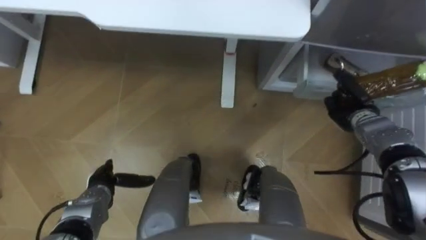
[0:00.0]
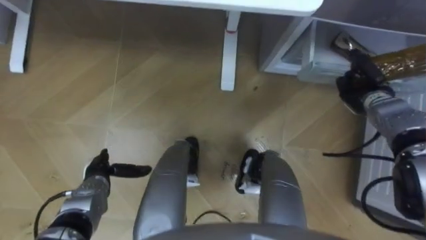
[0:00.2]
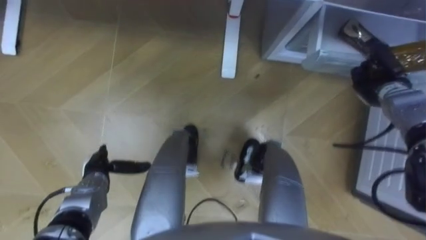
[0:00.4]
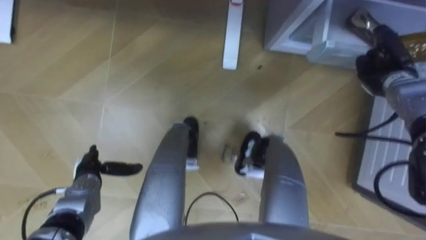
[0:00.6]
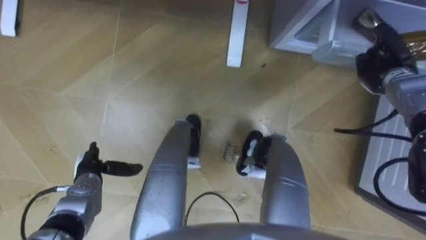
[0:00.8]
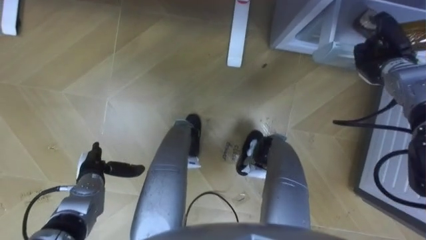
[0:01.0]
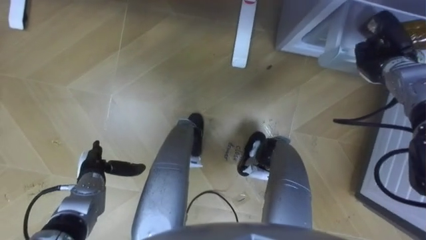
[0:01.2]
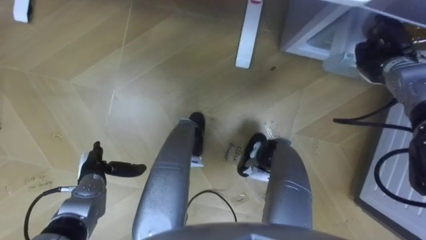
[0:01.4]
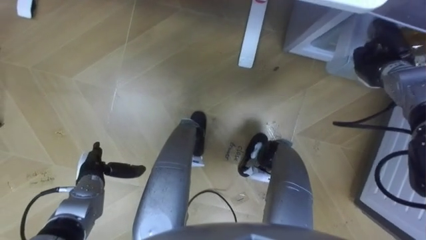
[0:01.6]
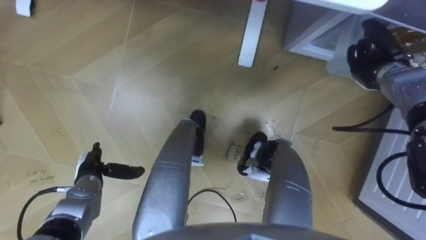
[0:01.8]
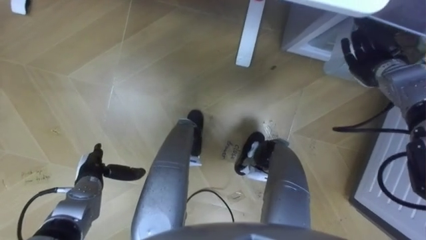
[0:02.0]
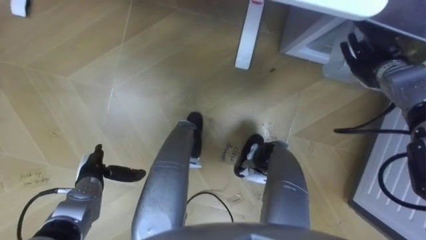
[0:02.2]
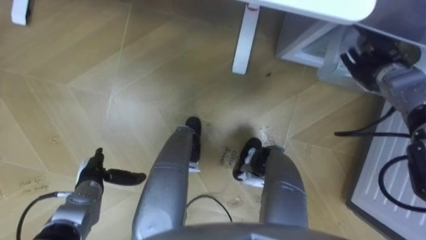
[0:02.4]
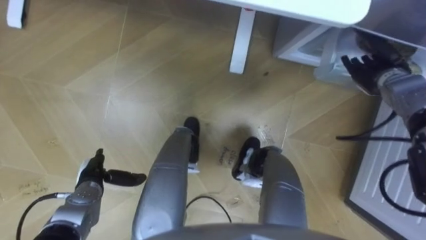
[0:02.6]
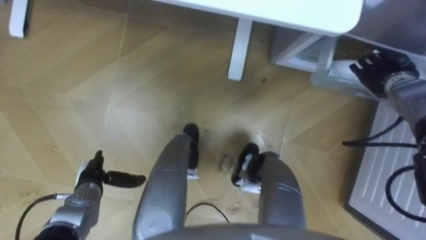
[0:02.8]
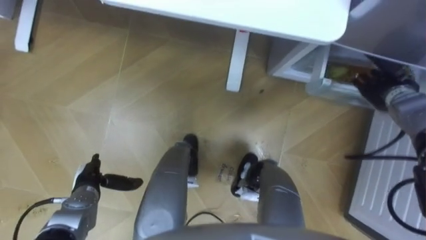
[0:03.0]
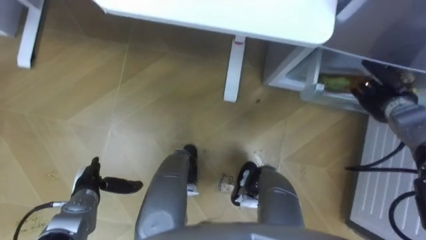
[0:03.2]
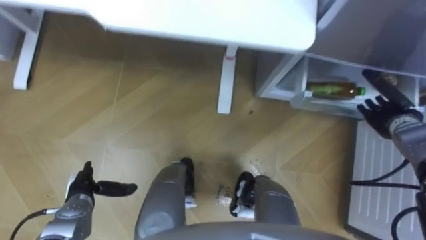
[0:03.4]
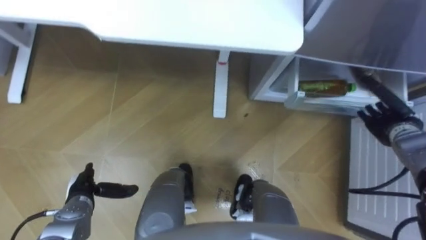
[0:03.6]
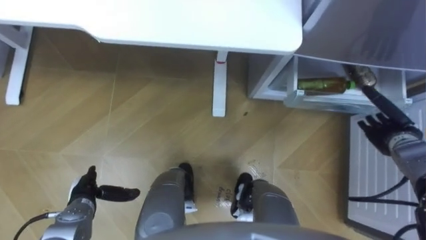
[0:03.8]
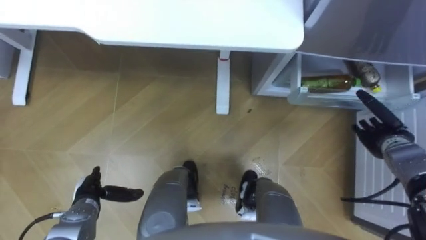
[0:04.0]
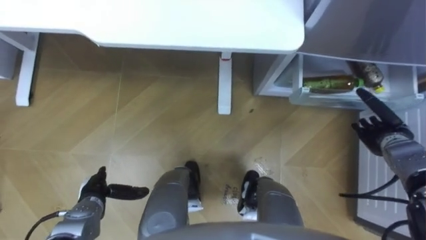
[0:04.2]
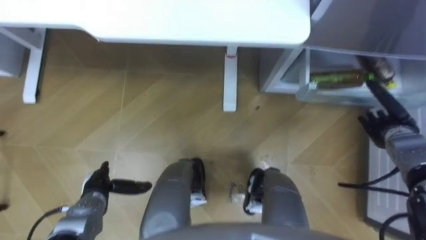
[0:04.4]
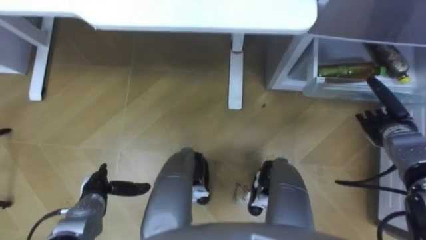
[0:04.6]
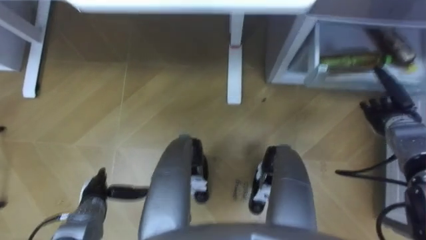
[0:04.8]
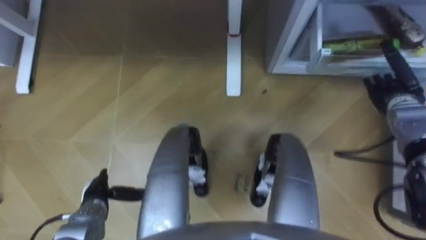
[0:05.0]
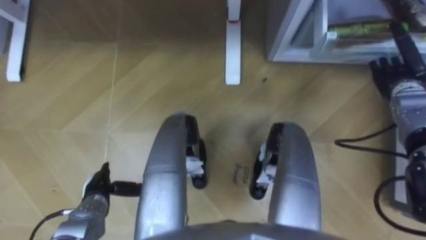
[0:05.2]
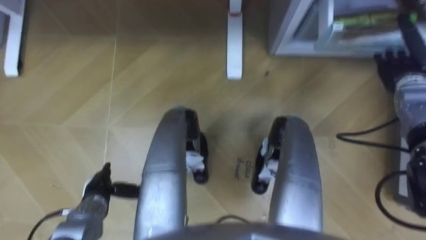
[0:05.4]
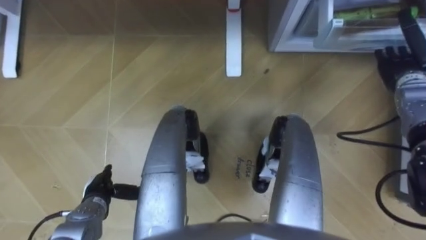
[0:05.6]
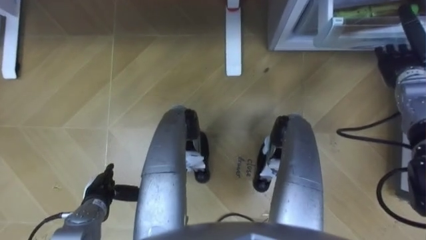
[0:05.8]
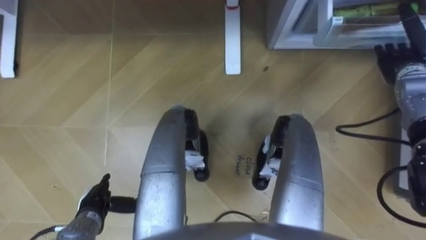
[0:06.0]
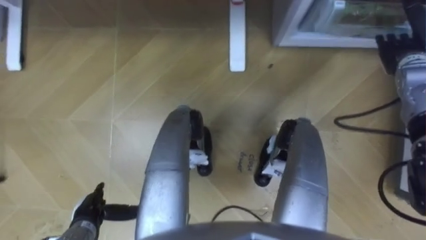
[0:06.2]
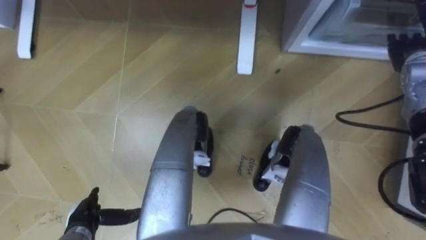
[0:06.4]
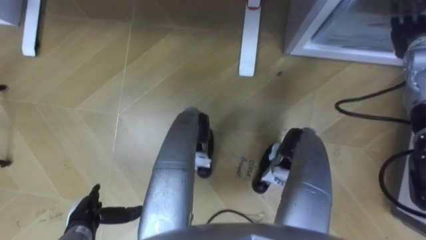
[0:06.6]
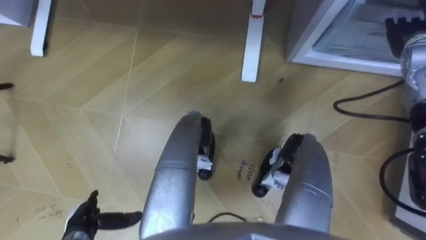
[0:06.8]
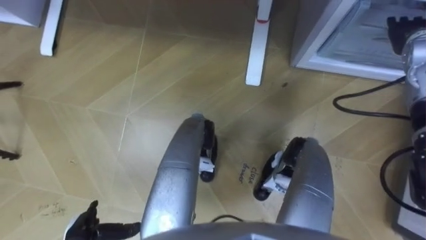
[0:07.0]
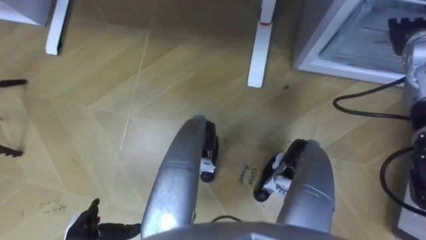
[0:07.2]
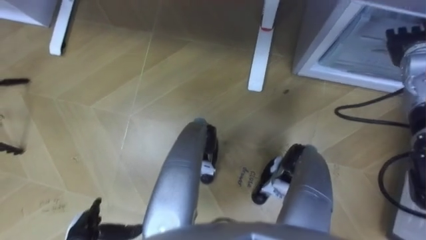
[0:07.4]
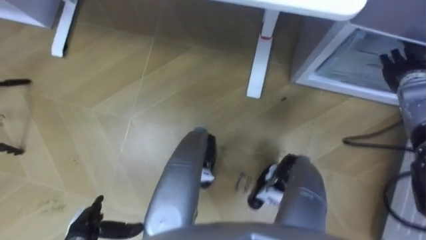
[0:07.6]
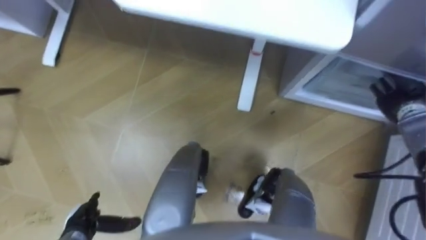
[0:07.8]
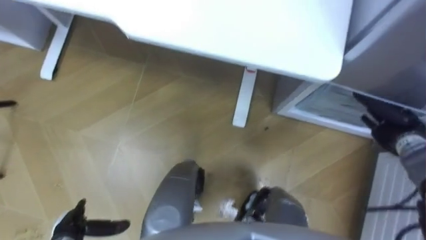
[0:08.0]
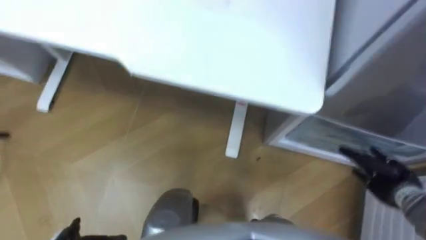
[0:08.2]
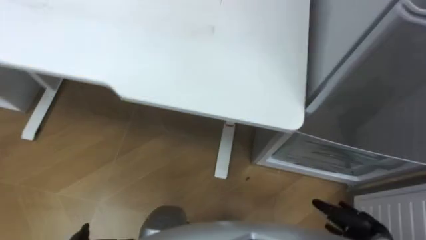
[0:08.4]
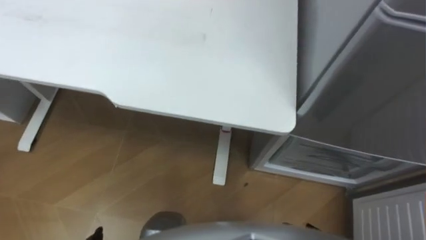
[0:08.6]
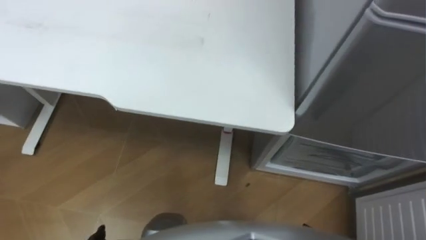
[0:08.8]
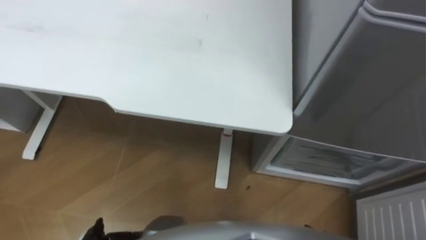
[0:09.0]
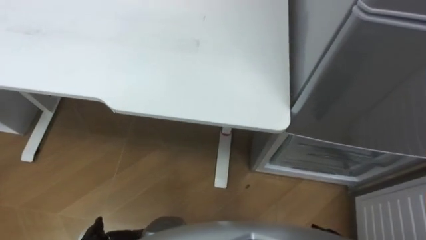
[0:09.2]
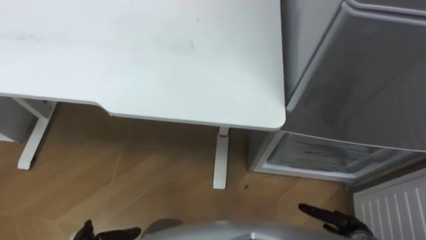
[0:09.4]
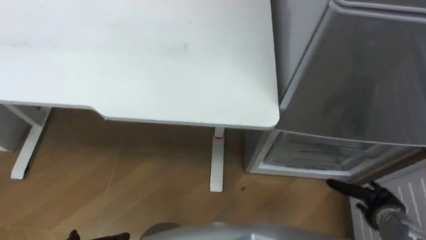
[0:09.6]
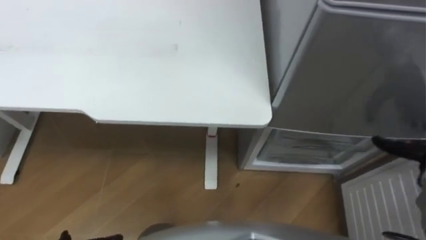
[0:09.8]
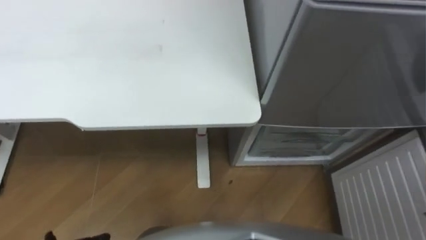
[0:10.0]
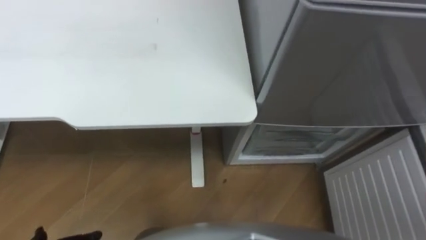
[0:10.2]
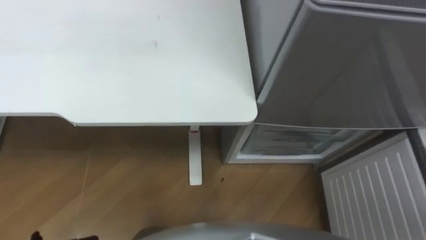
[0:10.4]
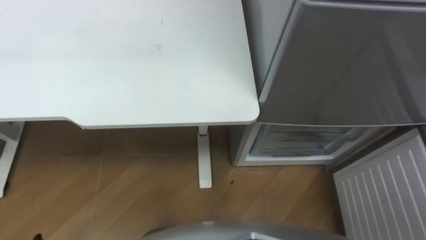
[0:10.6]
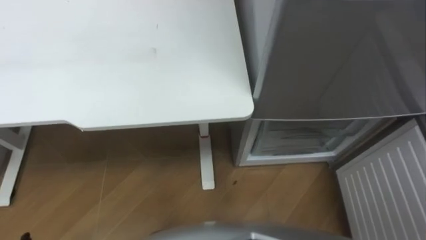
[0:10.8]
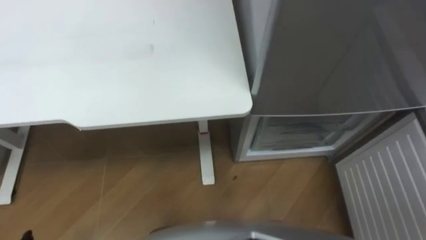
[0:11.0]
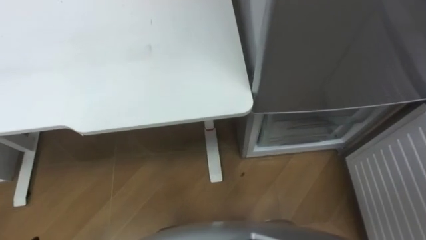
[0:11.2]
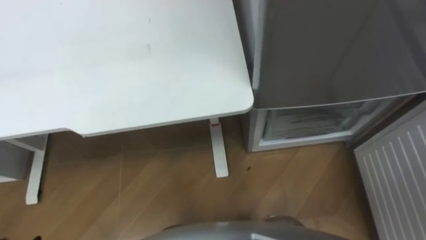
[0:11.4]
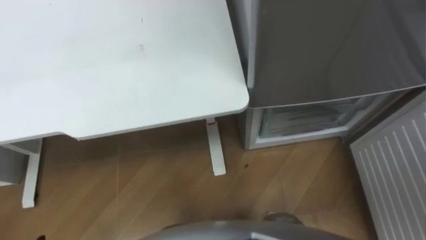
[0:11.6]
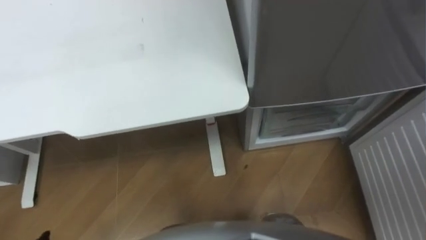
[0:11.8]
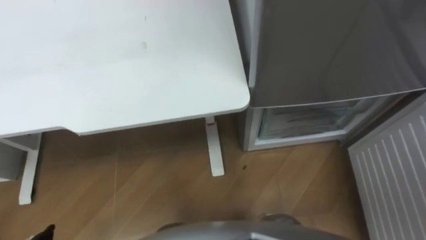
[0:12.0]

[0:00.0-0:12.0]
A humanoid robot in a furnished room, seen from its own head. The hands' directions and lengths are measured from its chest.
Task of the whole recording: Place the drink on the table on the bottom shelf of the refrigerator, then close the drawer and the refrigerator door.
0:00.0 to 0:01.6: The right hand moves upward and forward, roughly 10 cm.
0:01.6 to 0:03.0: The right hand opens its fingers.
0:03.0 to 0:04.4: The right hand shifts some 10 cm backward and downward.
0:04.4 to 0:06.0: The right hand shifts some 15 cm upward and forward.
0:06.0 to 0:07.6: The left hand goes some 5 cm backward.

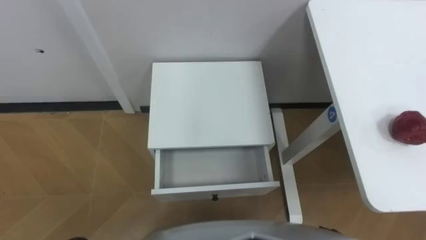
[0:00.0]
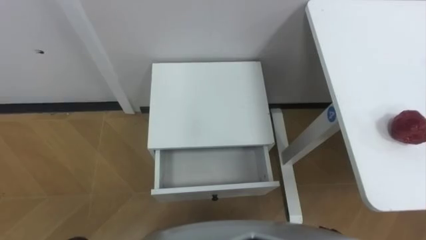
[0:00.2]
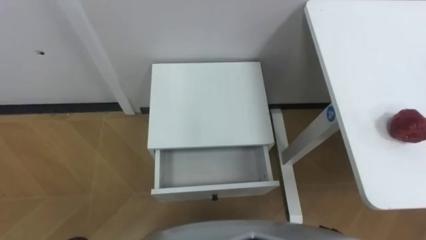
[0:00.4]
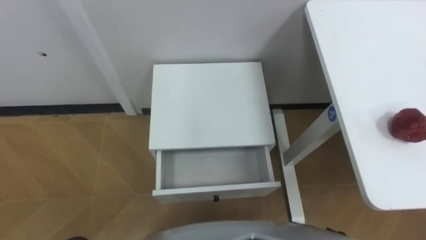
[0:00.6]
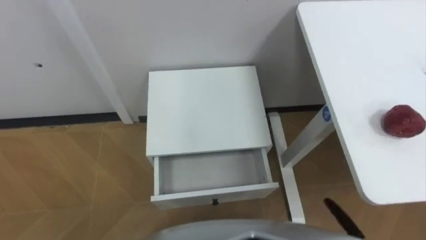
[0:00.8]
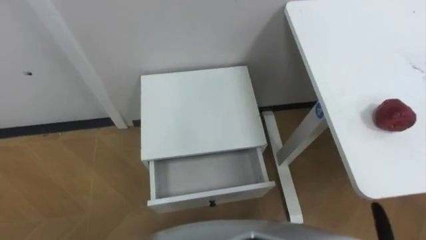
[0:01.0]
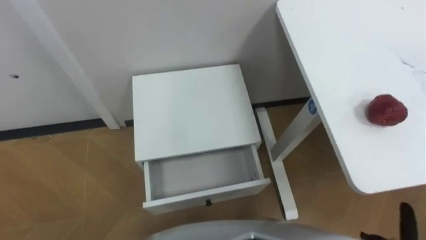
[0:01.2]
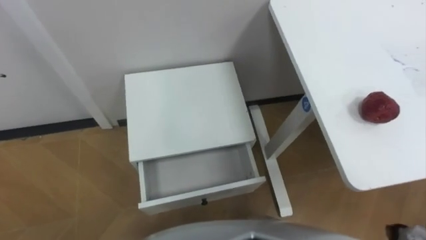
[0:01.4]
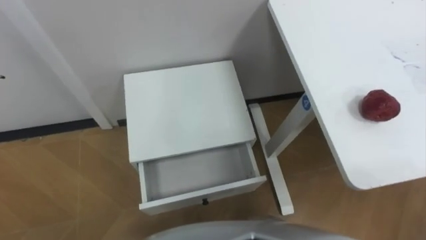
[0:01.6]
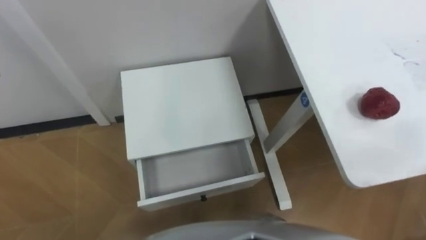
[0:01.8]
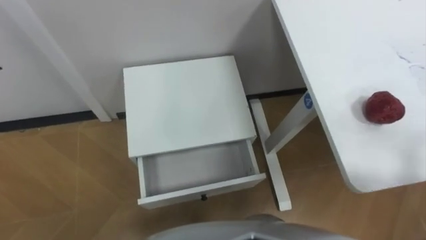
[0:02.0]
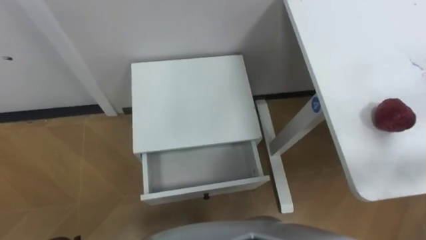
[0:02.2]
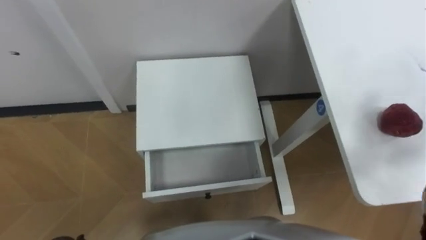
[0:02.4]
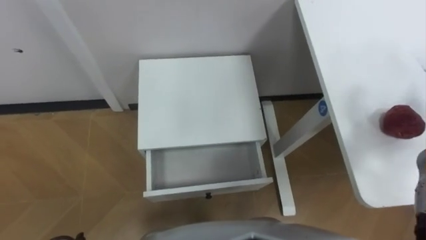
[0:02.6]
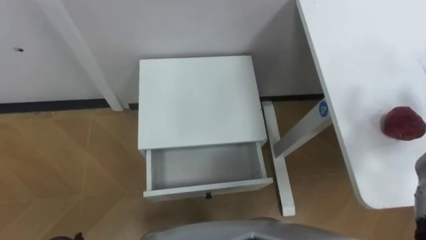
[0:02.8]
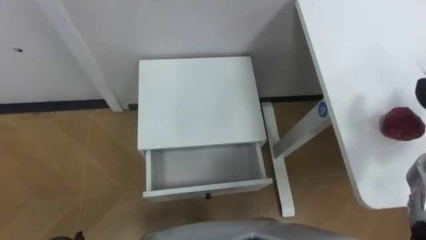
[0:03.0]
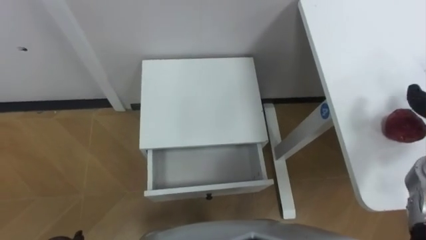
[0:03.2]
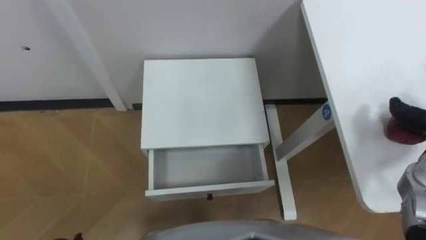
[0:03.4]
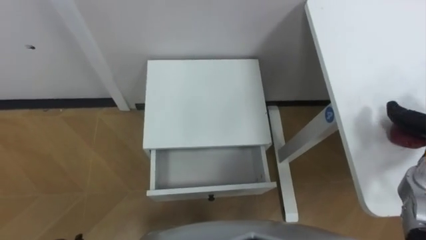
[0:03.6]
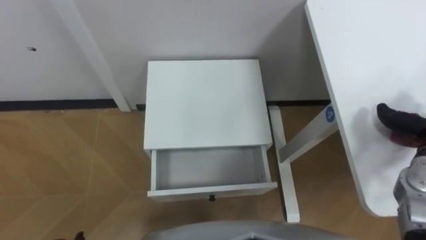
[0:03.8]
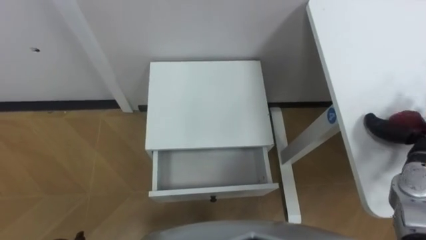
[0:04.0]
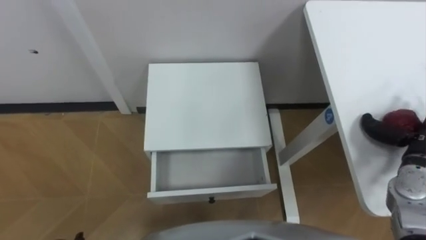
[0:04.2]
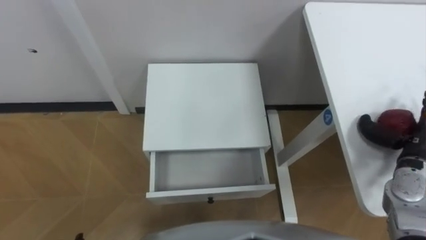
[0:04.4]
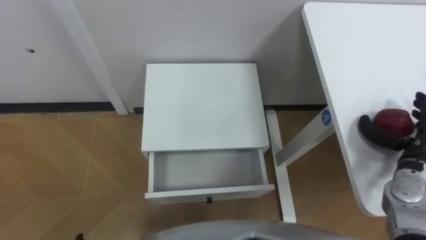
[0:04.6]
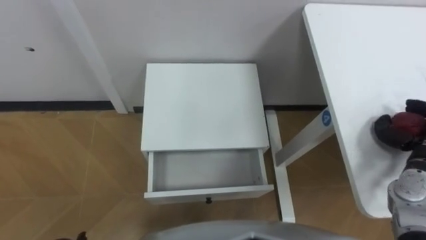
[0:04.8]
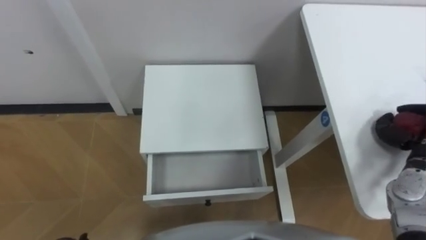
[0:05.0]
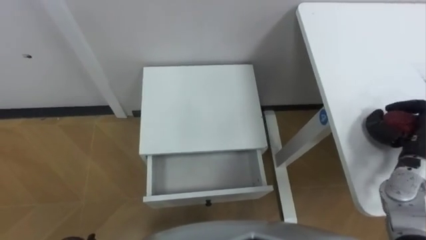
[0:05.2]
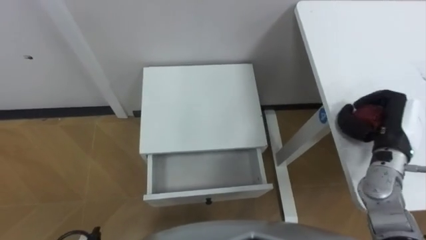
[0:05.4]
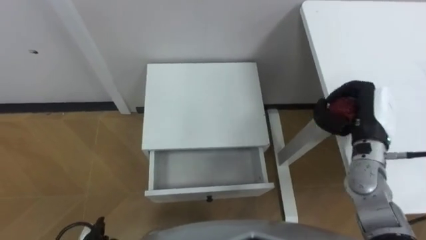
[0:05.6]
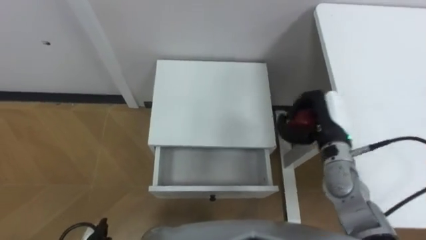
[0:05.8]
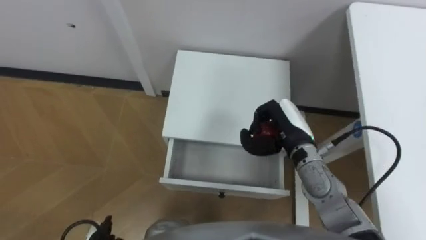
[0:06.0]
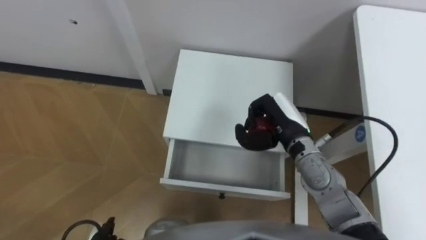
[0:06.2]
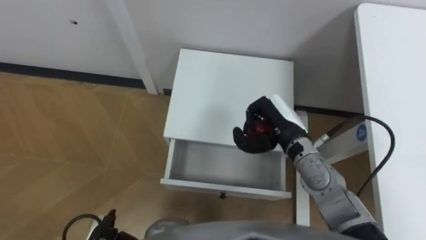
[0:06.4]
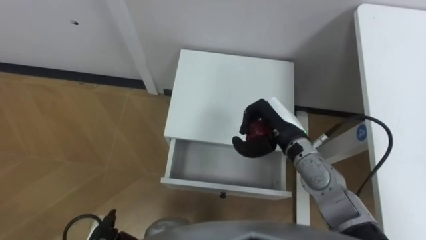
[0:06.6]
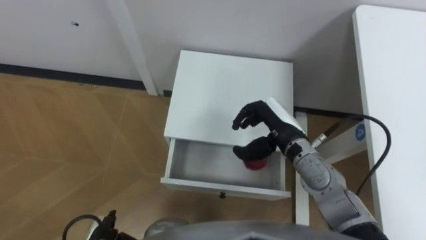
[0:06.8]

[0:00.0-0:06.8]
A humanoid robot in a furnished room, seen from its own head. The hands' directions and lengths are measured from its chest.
Task of the whole recording: Pick up the apple from the table, put it in the drawer, and close the drawer with leg.
0:05.4 to 0:06.8: The right hand travels to the left by about 20 cm.
